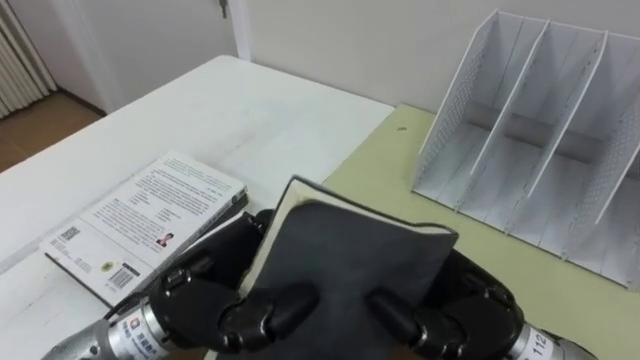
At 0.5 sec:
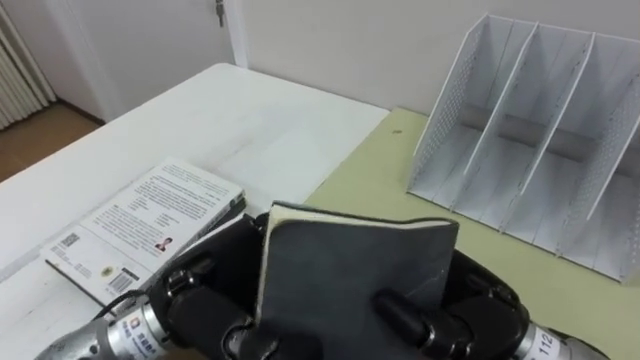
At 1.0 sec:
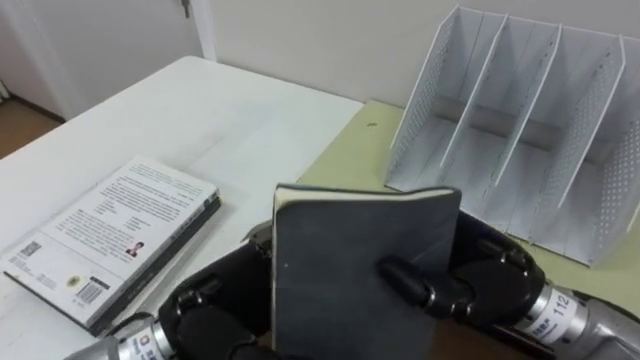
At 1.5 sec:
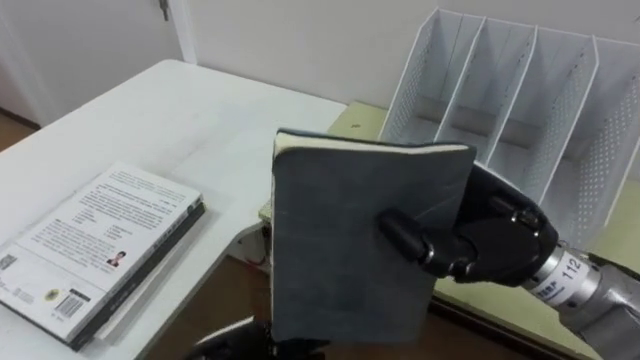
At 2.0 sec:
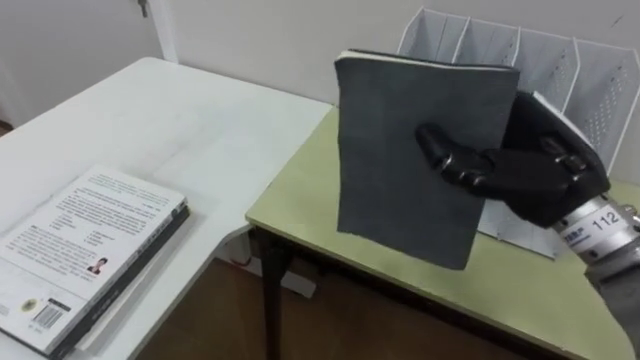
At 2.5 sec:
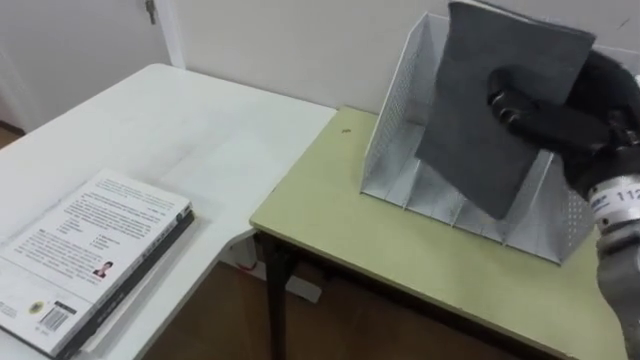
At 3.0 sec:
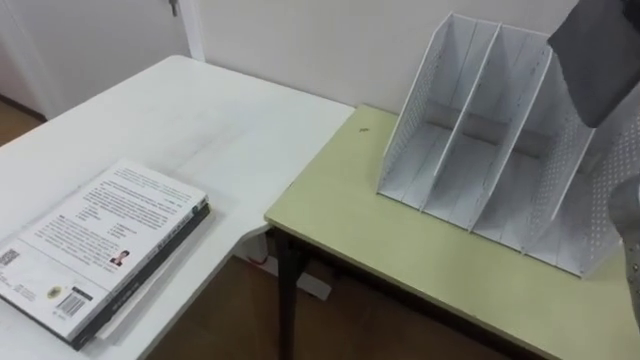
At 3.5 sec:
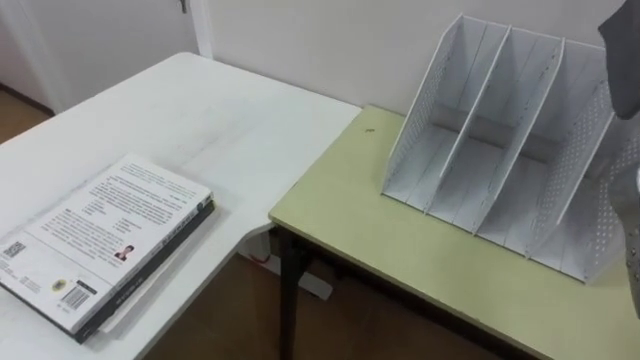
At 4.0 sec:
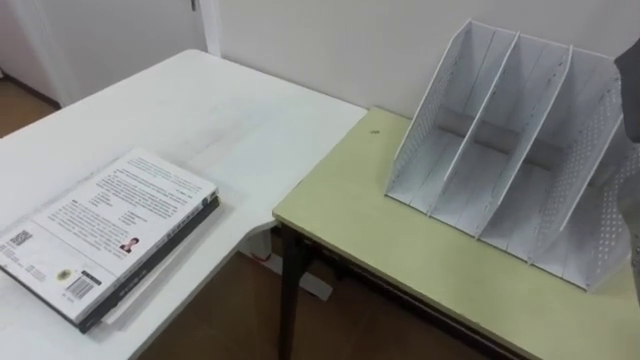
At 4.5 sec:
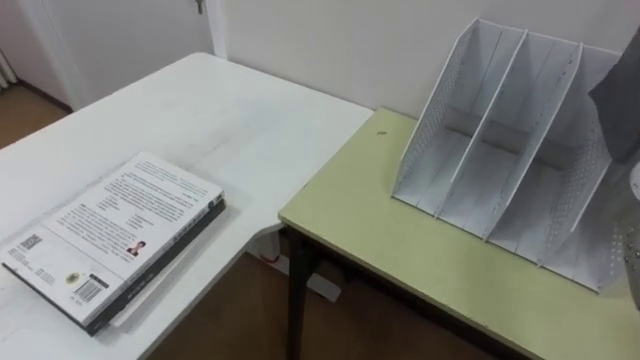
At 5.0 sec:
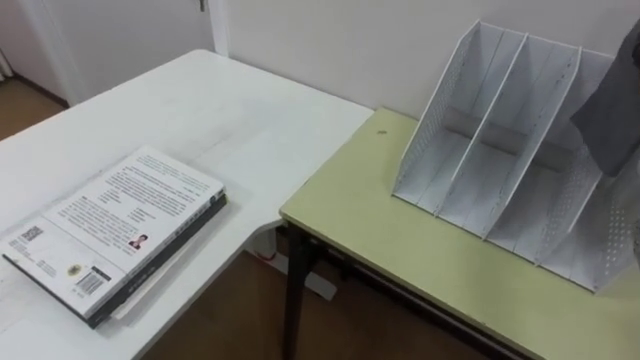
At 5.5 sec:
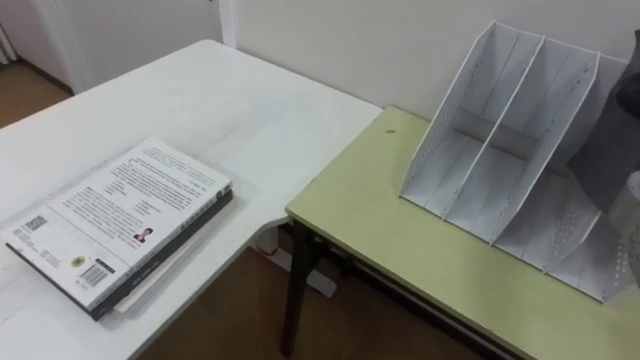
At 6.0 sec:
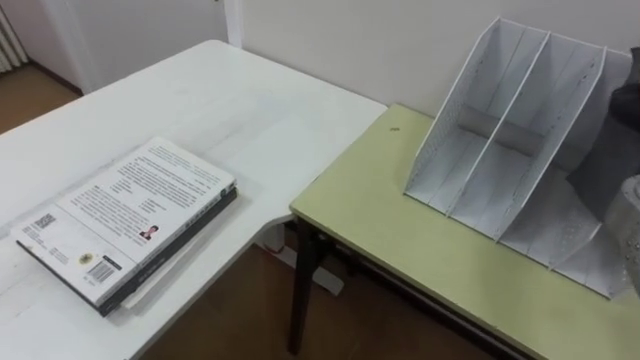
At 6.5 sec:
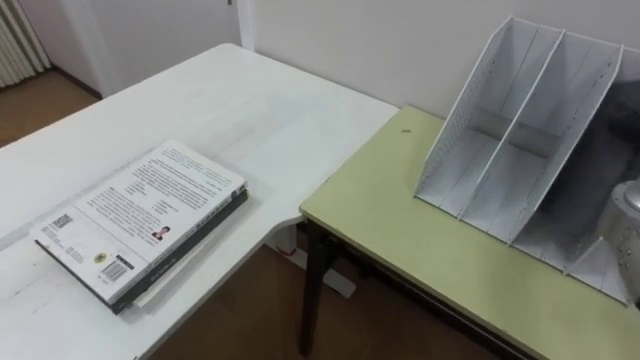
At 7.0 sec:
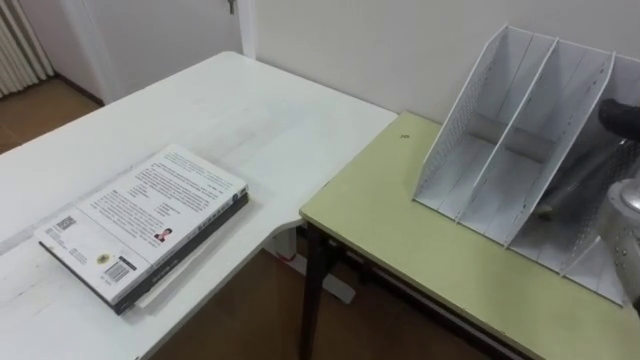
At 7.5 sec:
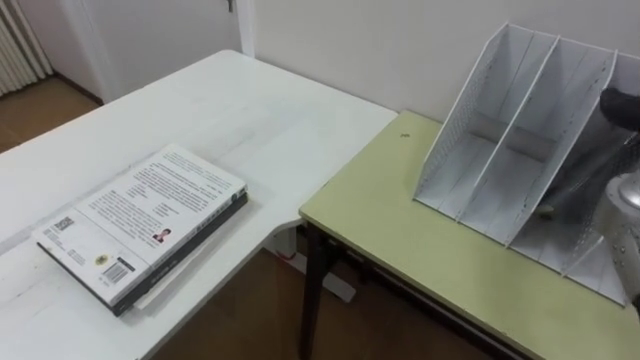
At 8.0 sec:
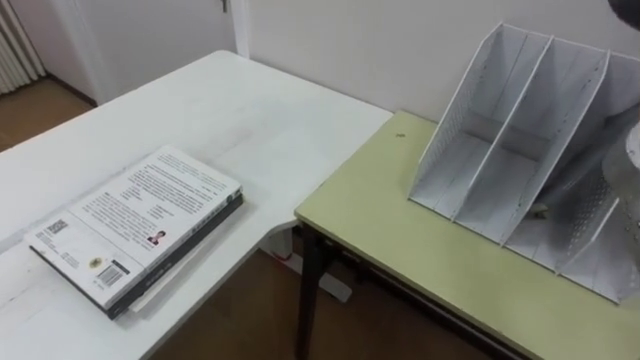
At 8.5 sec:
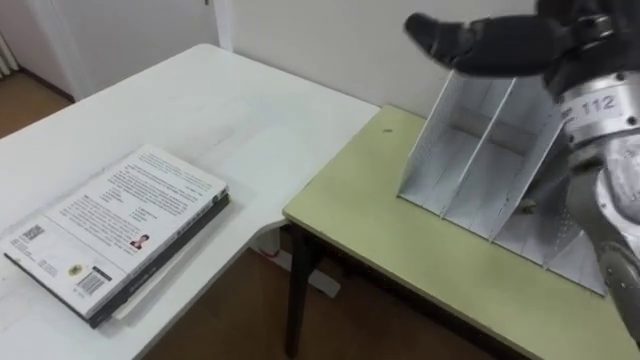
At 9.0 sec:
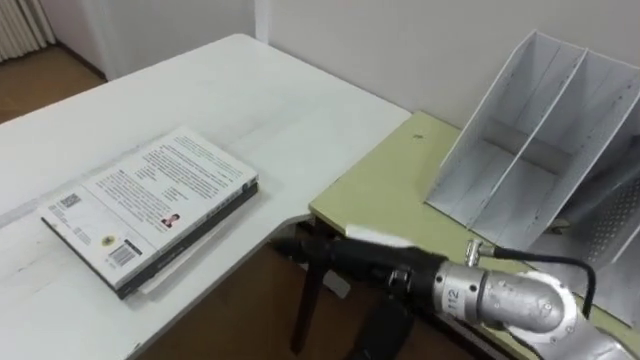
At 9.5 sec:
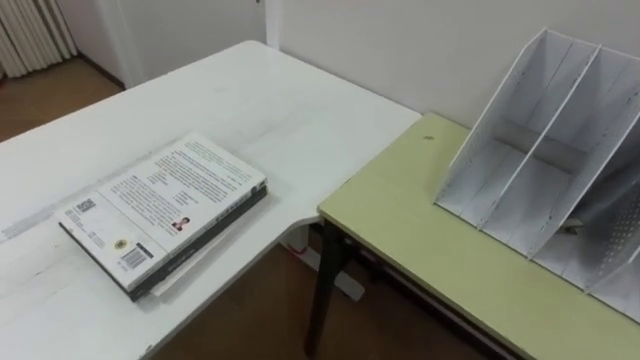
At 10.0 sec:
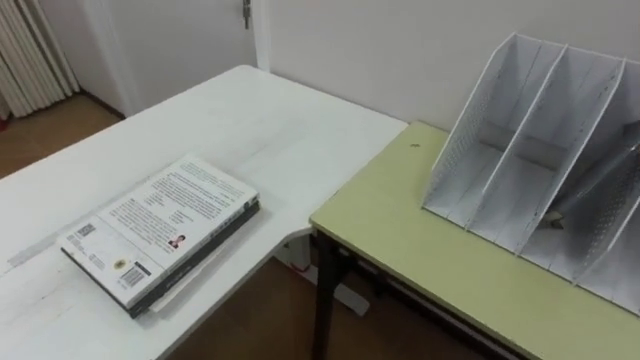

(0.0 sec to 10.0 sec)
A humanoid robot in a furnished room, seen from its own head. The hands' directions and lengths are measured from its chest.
Task of the whole recording: Put the books on the table onto the bookshelf.
0.0 sec - 2.0 sec: The right hand heads upward, forward and to the right, covering roughly 15 cm.

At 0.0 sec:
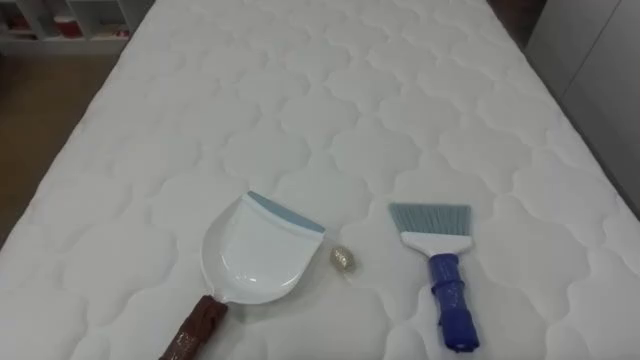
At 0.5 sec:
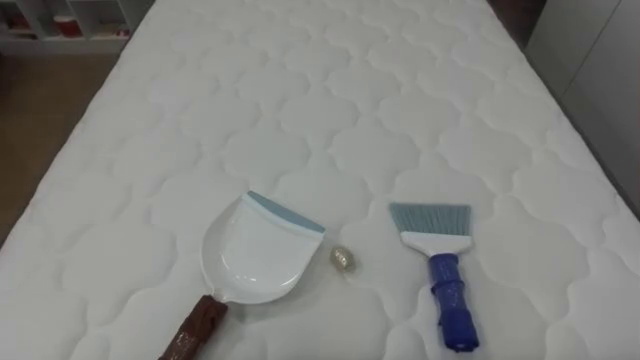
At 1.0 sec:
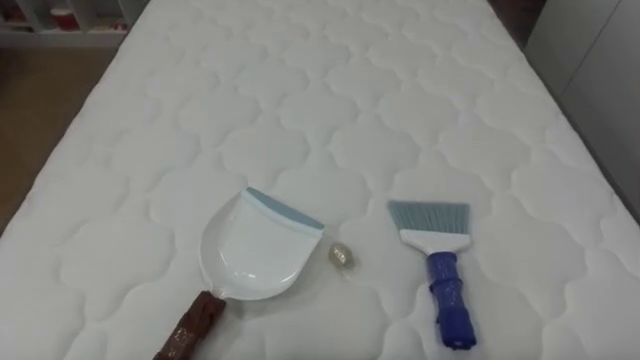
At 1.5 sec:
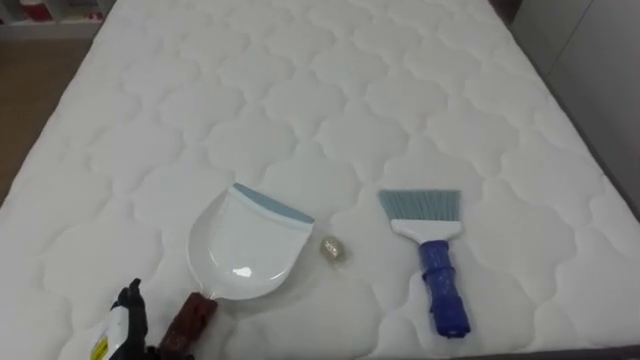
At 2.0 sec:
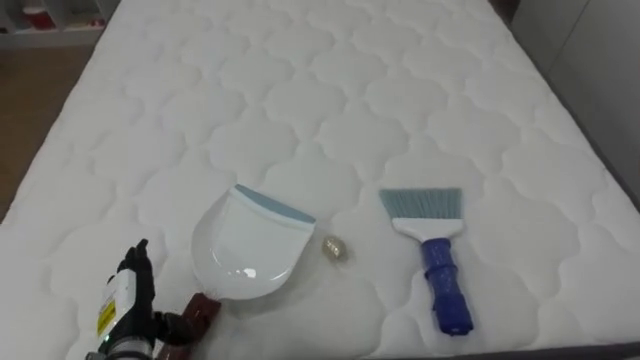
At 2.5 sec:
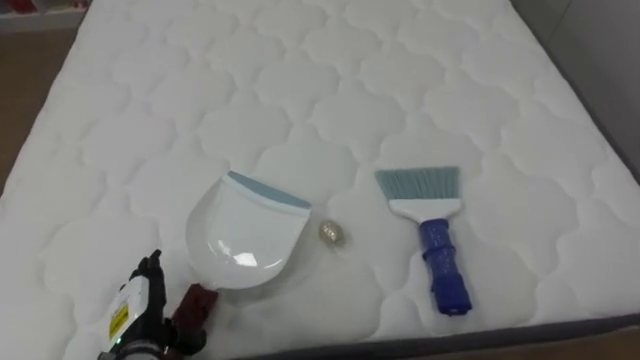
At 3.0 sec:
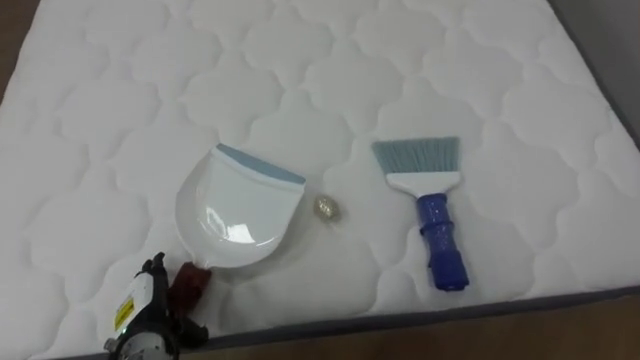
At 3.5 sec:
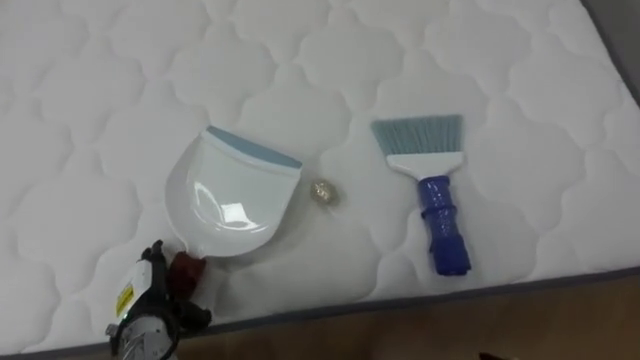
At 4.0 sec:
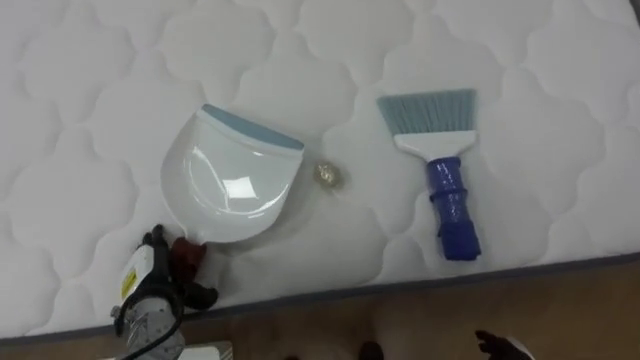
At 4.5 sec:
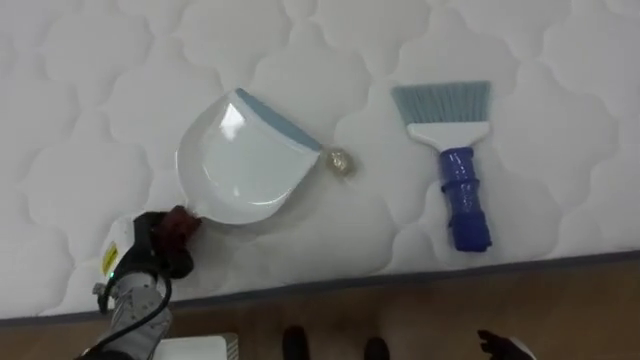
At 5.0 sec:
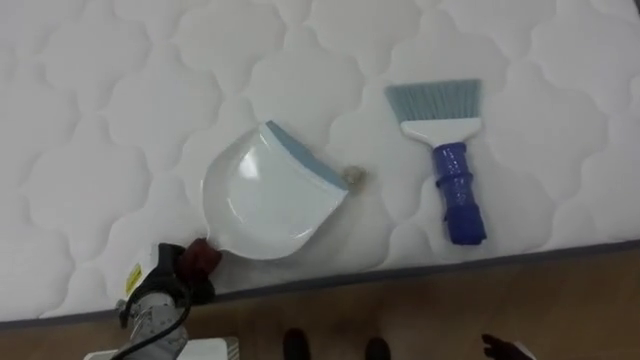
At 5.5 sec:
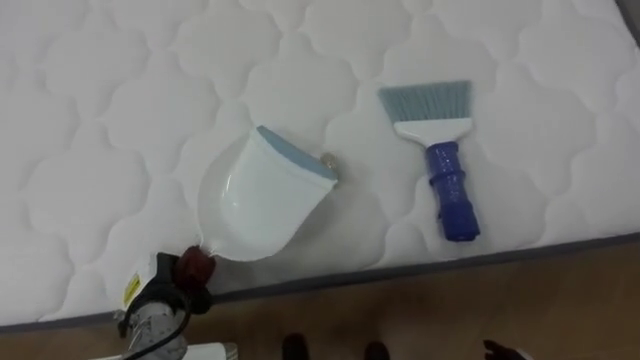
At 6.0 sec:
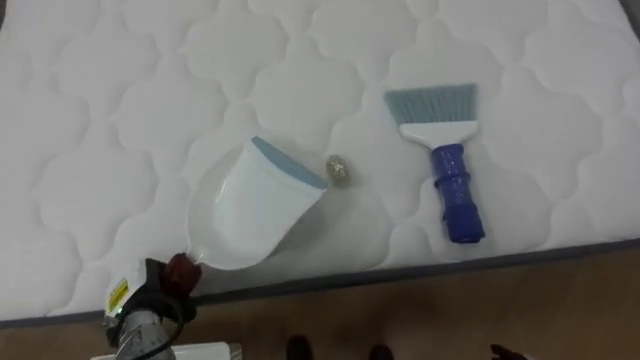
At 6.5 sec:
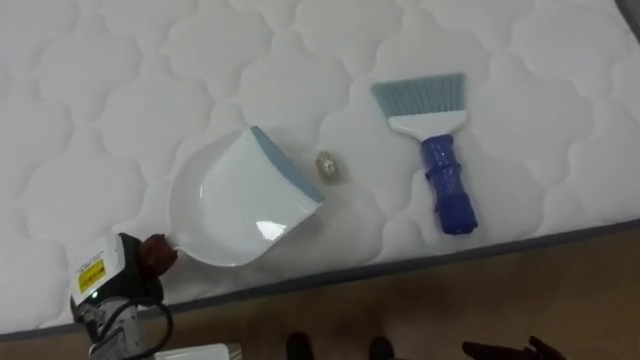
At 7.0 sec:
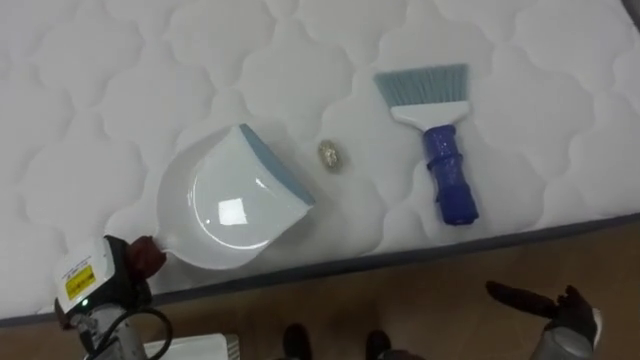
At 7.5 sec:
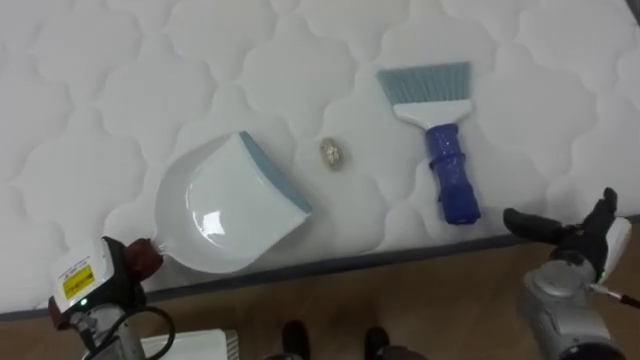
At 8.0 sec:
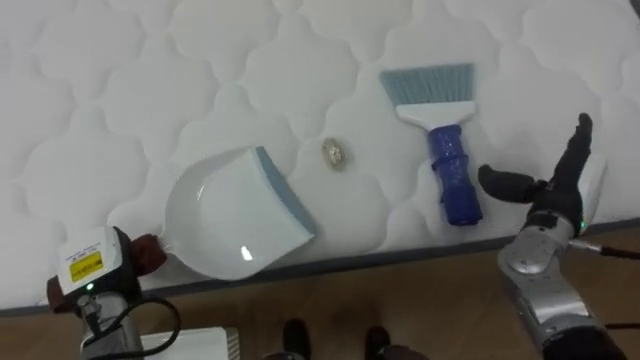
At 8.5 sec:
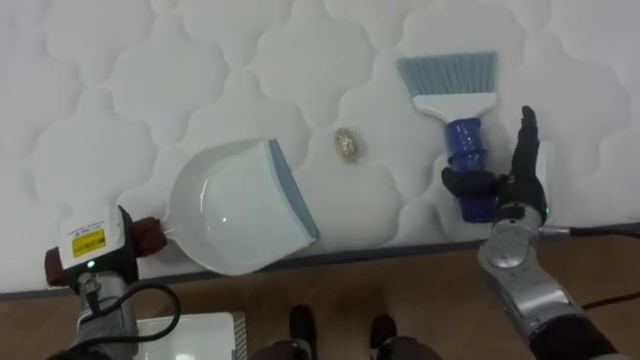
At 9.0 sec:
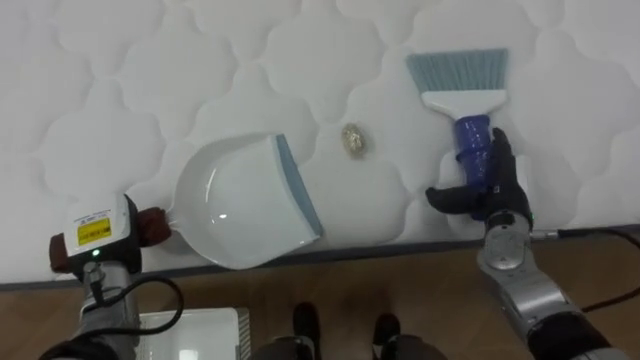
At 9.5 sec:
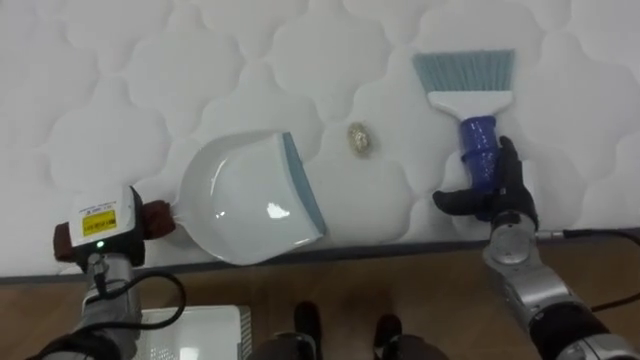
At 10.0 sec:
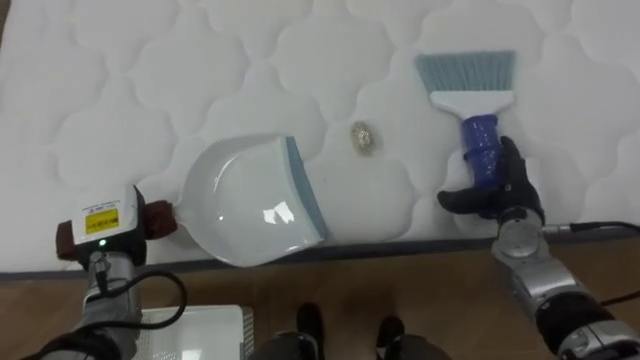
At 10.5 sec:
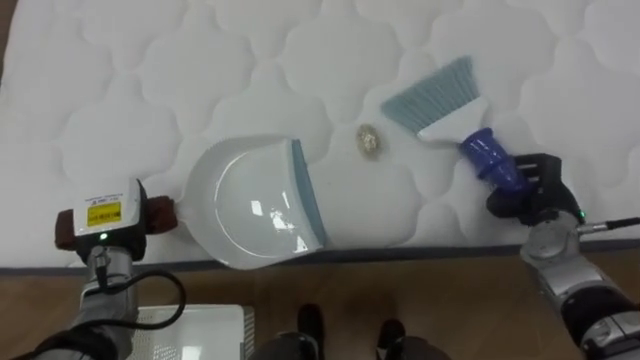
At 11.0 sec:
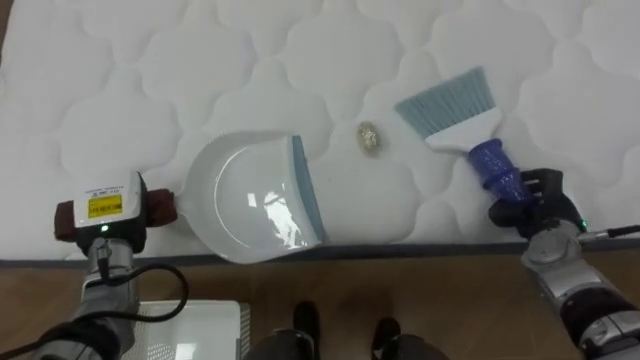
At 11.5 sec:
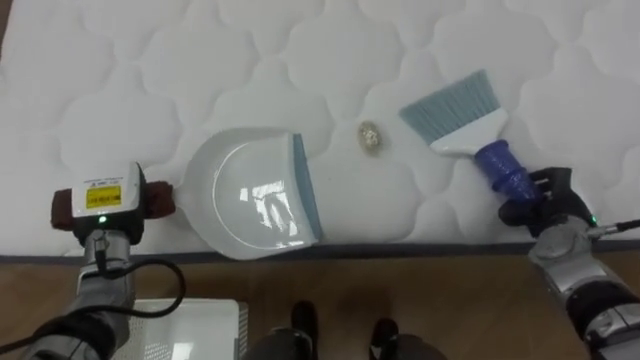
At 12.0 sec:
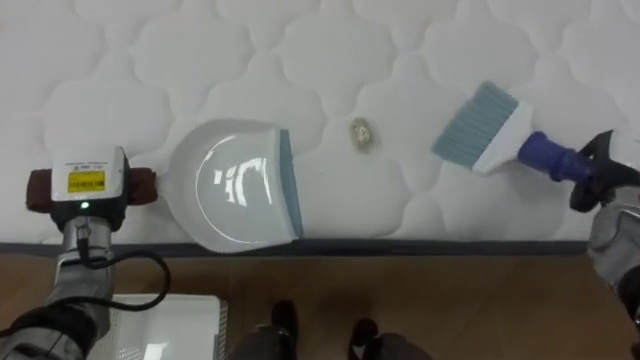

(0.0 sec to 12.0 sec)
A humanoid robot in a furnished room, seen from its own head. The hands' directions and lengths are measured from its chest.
Task of the whole recording: Pick up the brush on your right and the dustpan on your left. Use the brush to sweep the crumpled paper on the bed into the dustpan, then turn left and empty it into the basket.
2.0 sec - 4.0 sec: The left hand changes place by roughly 5 cm.
4.0 sec - 6.0 sec: The left hand closes its fingers.
6.0 sec - 8.0 sec: The left hand travels upward by roughly 5 cm.
8.0 sec - 10.0 sec: The left hand moves roughly 5 cm. Meanwhile the right hand shifts approximately 5 cm downward.
10.0 sec - 12.0 sec: The right hand shifts approximately 15 cm to the right and upward, and closes, while the left hand ends up approximately 5 cm from where it was.
